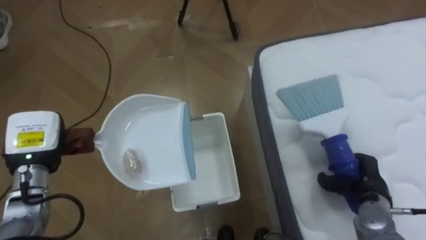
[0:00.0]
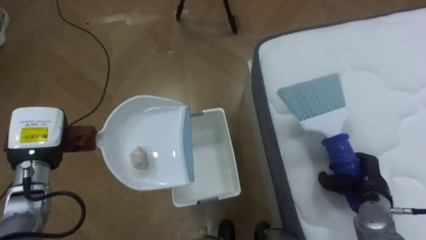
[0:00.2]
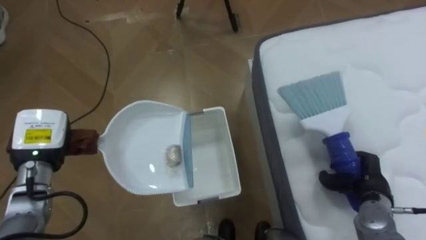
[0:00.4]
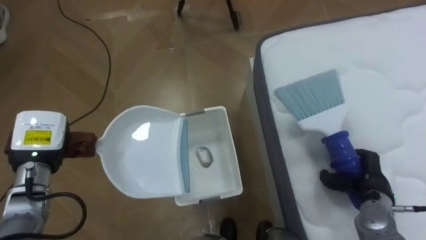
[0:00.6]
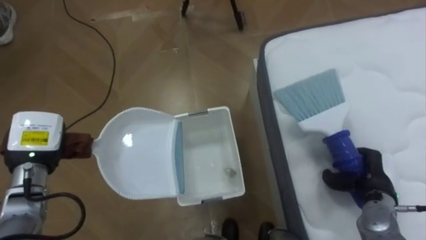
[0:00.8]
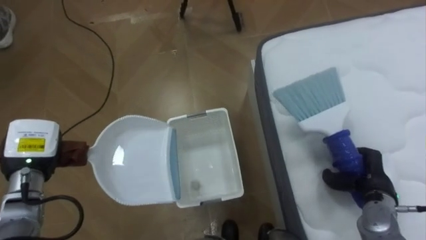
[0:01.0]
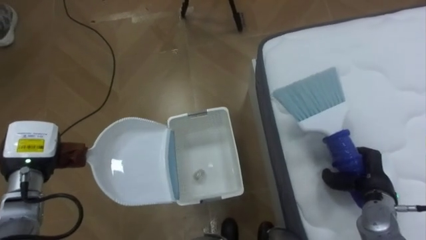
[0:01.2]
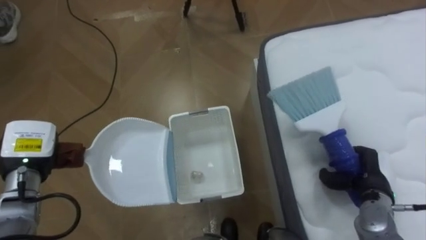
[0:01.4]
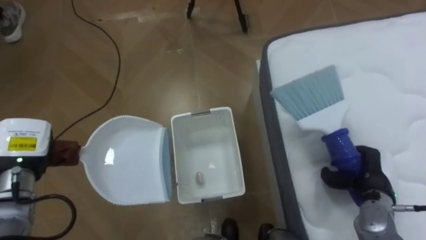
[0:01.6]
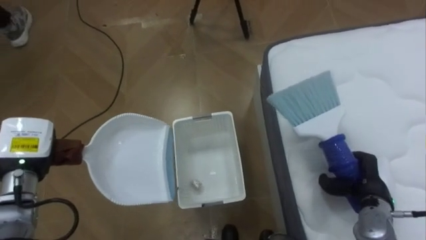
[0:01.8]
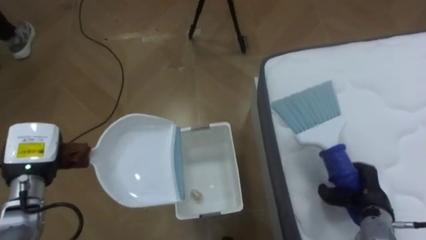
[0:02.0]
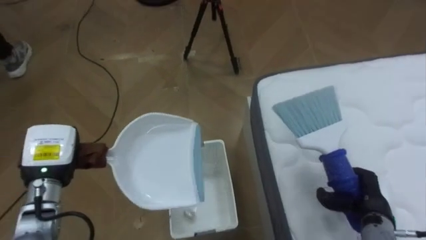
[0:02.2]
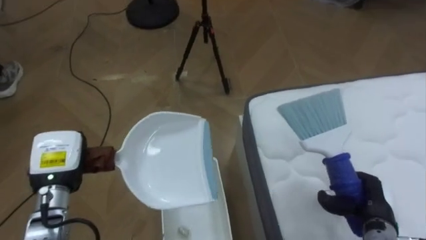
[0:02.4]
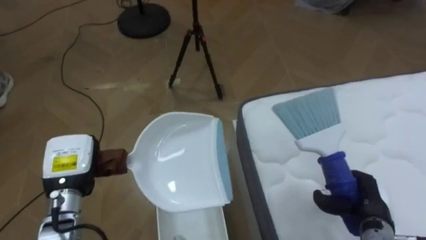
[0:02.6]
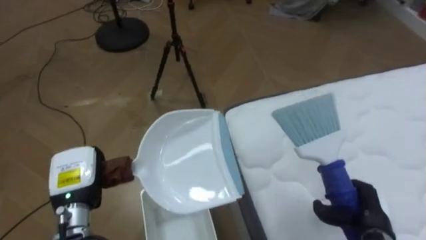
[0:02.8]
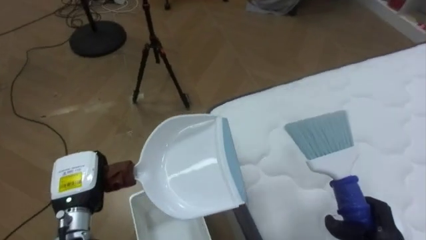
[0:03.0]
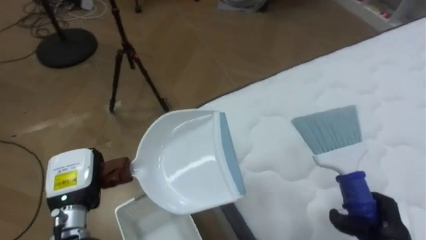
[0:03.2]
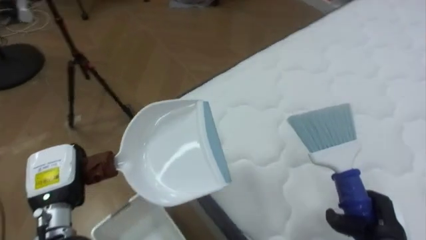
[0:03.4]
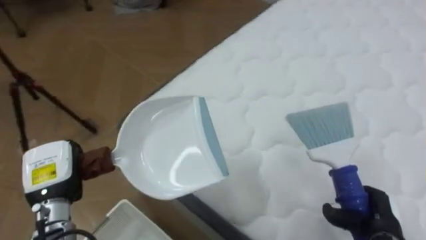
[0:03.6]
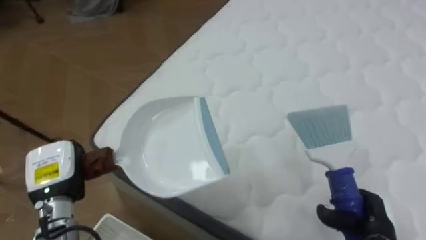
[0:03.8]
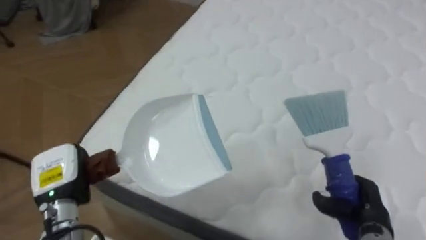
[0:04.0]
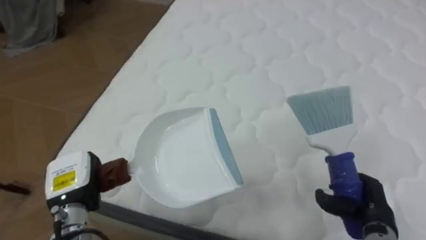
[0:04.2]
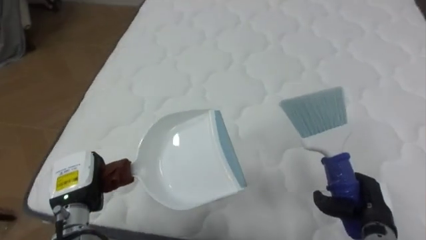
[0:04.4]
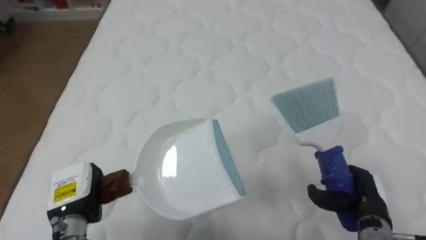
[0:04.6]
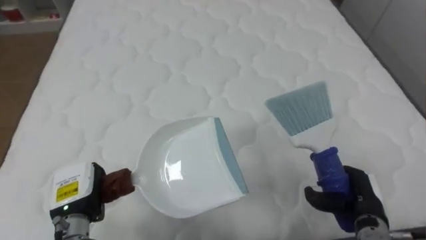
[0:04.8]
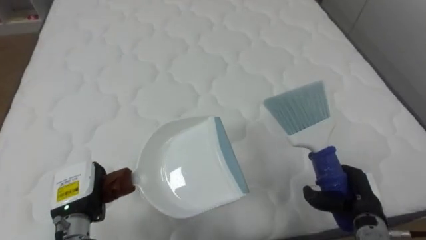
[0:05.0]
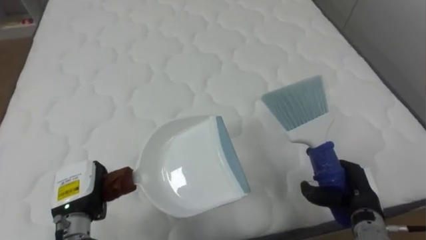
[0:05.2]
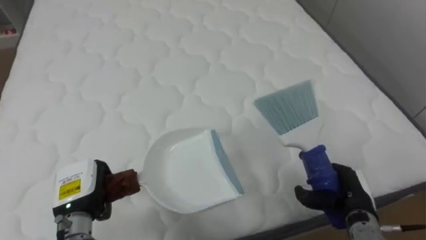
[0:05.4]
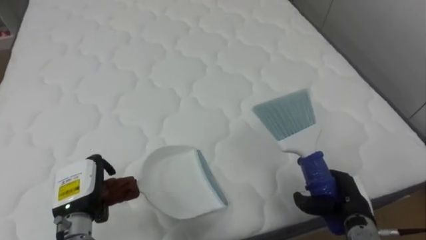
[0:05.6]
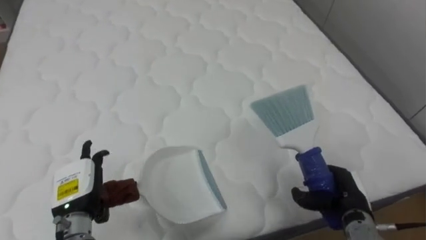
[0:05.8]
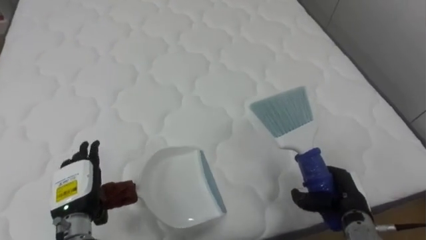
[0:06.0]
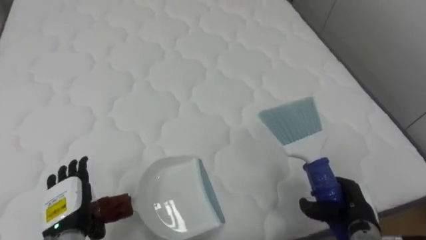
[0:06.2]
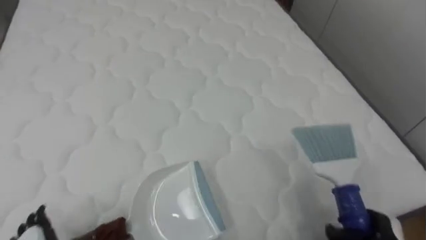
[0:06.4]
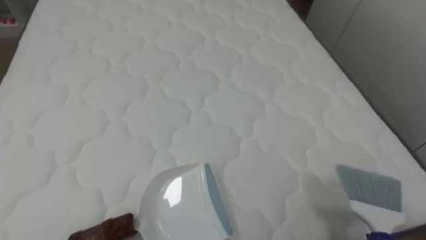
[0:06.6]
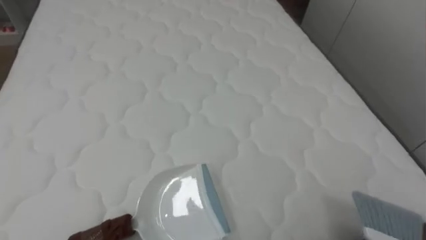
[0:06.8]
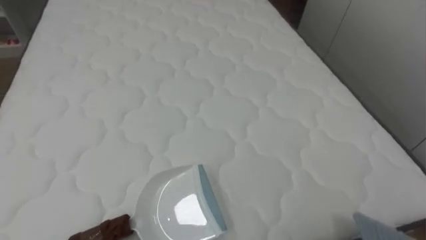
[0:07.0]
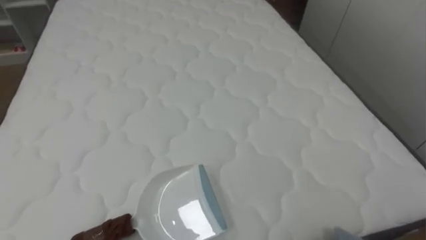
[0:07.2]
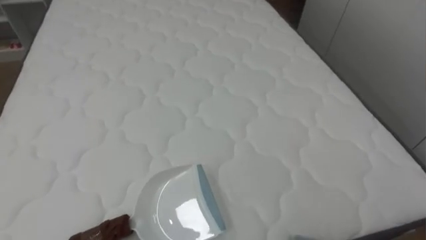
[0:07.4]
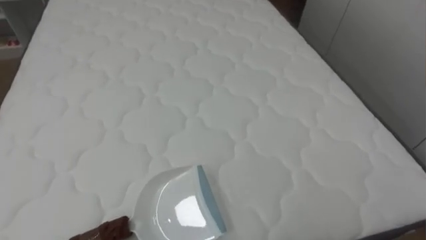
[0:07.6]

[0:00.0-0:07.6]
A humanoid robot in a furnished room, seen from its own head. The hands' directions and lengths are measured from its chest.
Task of the whole recording: Pick up the brush on your right and the dustpan on your left. Use the brush to sweep the crumpled paper on the bed into the dustpan, then turn left and empty it into the basket.
0:01.6 to 0:03.0: The robot's body swings roughly 15 degrees to its right. The right hand heads backward, covering approximately 10 cm, while the left hand is displaced to the right and backward by approximately 10 cm.
0:03.0 to 0:04.6: The robot turns to its right by approximately 70 degrees. The right hand moves approximately 5 cm.
0:04.6 to 0:06.0: The robot faces some 15 degrees further to its right. The left hand opens.

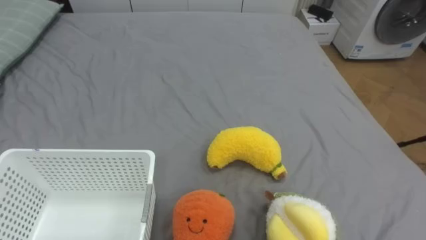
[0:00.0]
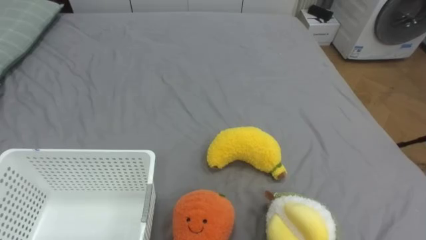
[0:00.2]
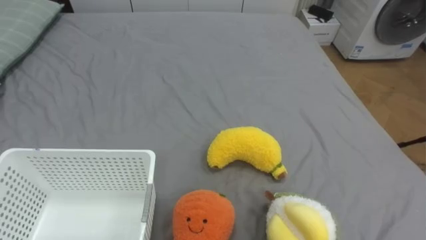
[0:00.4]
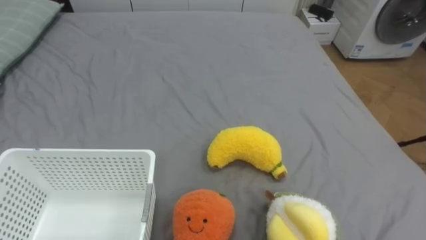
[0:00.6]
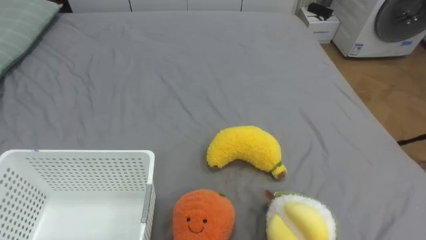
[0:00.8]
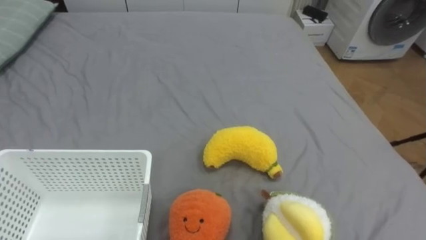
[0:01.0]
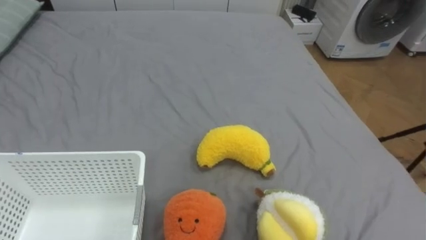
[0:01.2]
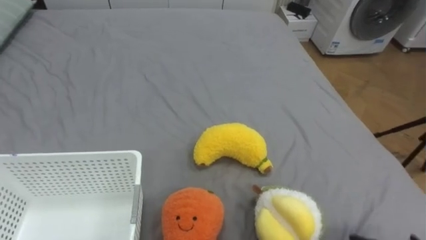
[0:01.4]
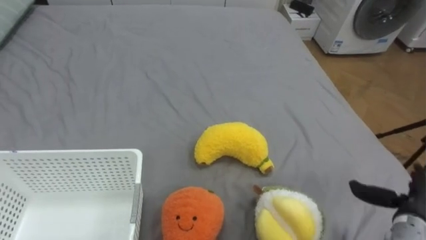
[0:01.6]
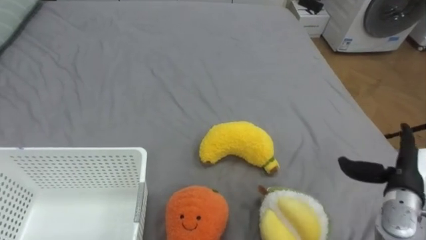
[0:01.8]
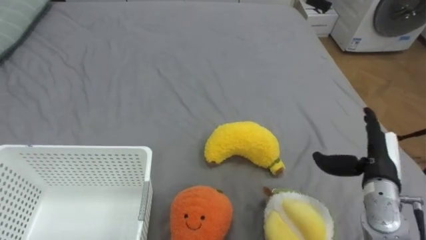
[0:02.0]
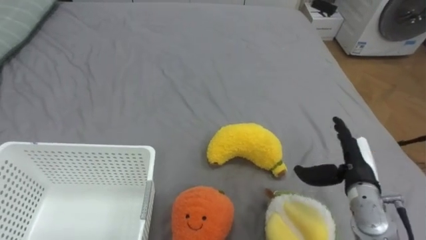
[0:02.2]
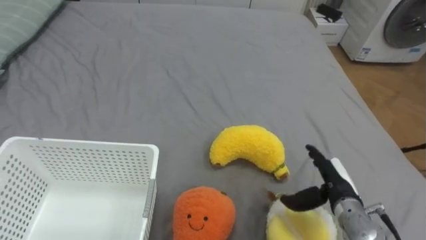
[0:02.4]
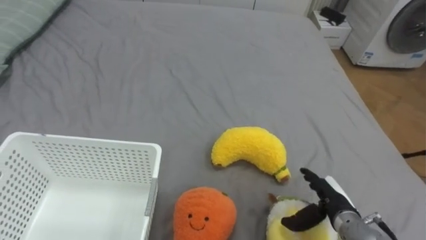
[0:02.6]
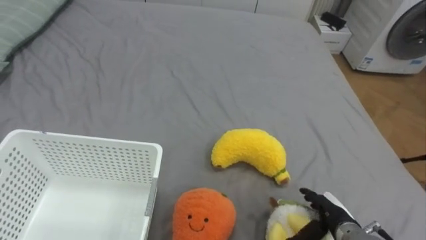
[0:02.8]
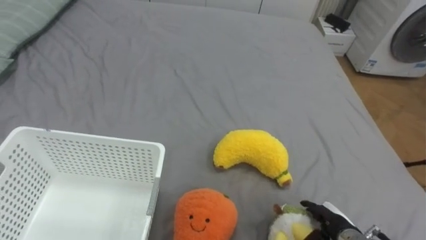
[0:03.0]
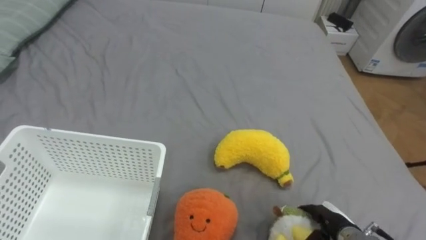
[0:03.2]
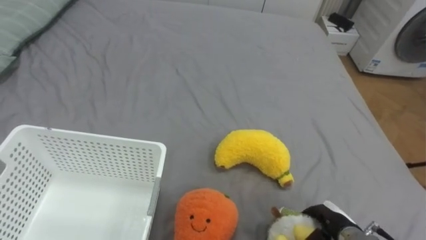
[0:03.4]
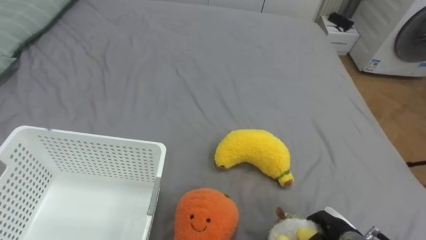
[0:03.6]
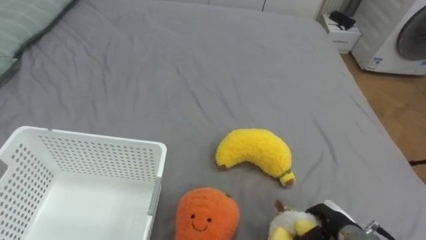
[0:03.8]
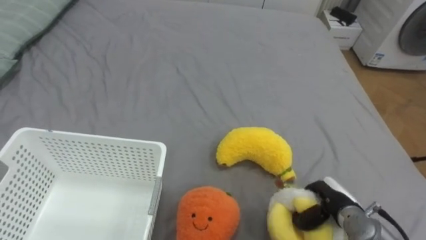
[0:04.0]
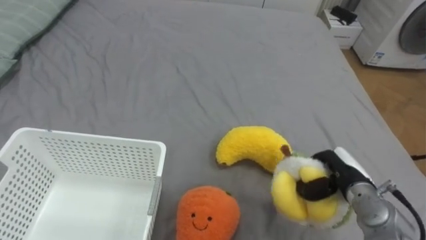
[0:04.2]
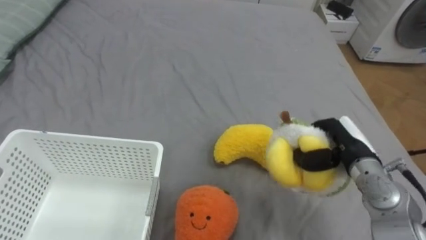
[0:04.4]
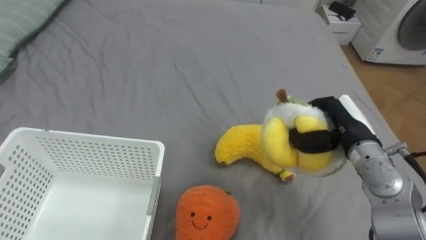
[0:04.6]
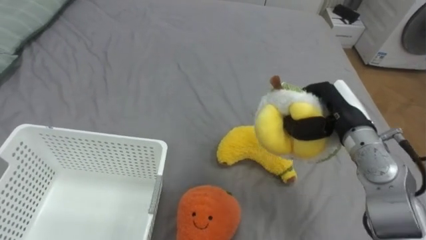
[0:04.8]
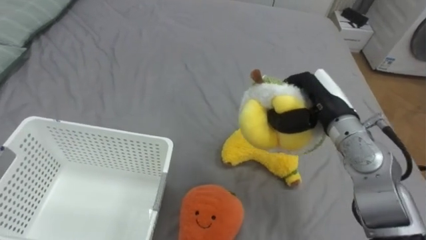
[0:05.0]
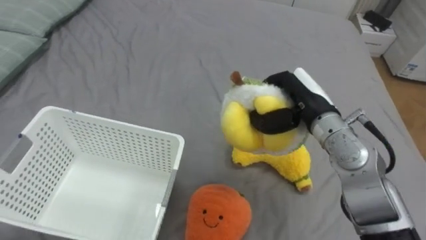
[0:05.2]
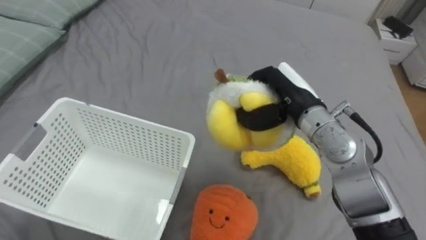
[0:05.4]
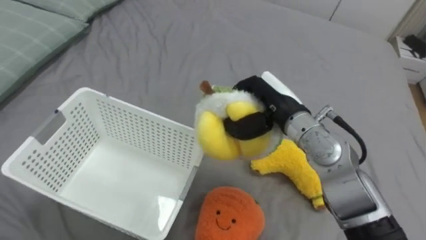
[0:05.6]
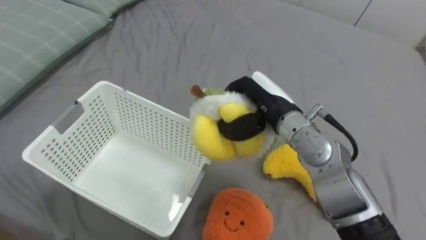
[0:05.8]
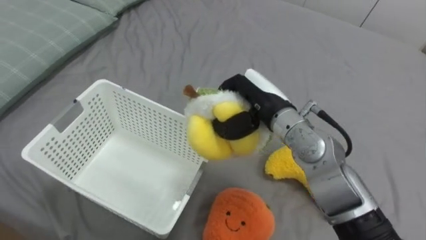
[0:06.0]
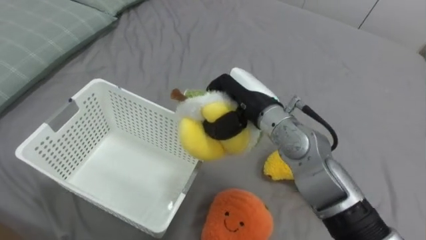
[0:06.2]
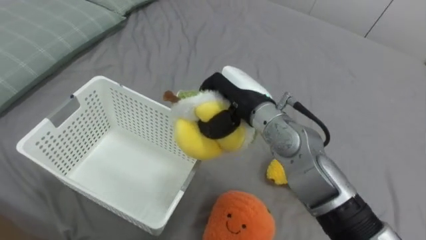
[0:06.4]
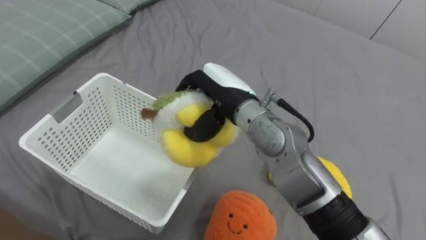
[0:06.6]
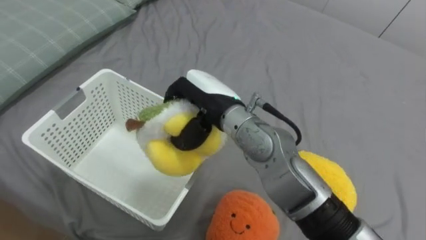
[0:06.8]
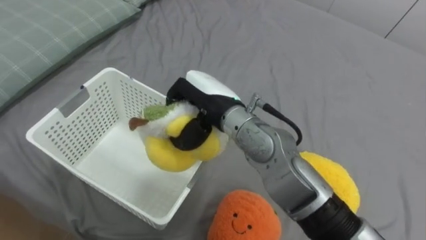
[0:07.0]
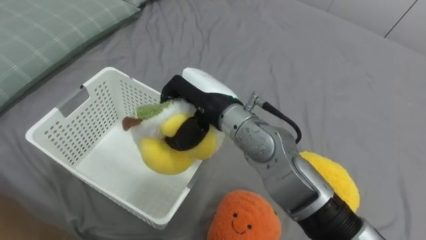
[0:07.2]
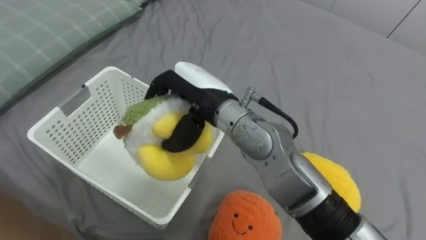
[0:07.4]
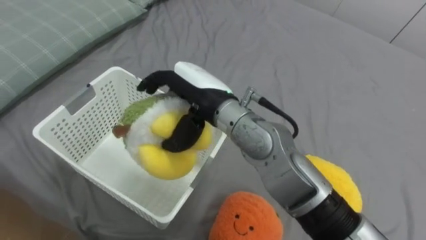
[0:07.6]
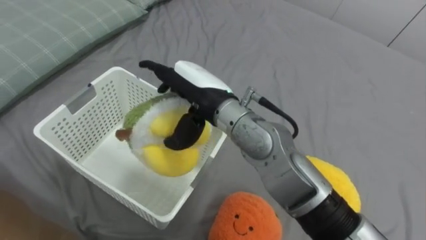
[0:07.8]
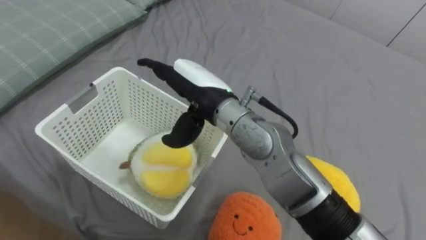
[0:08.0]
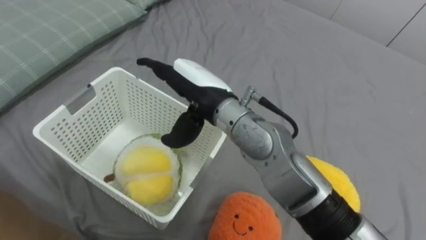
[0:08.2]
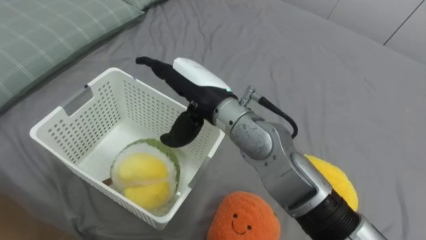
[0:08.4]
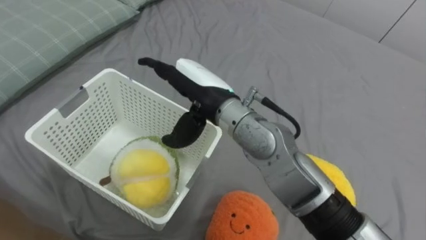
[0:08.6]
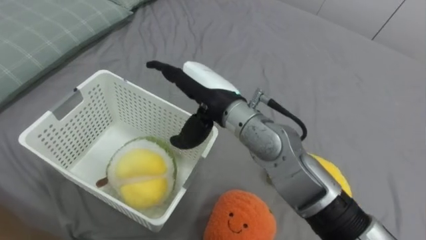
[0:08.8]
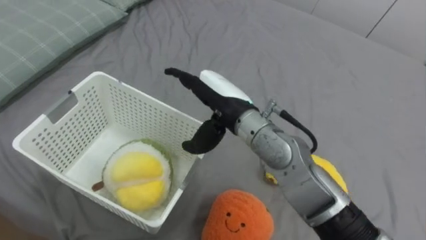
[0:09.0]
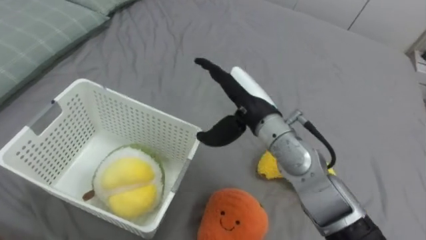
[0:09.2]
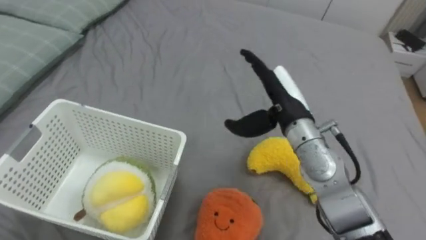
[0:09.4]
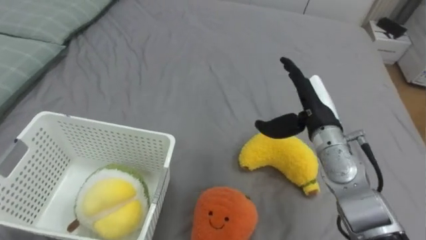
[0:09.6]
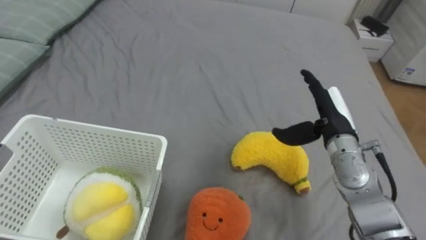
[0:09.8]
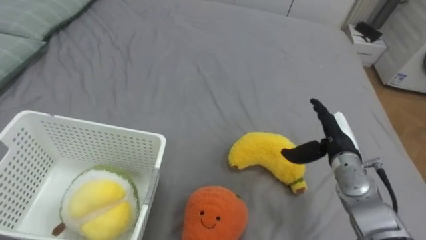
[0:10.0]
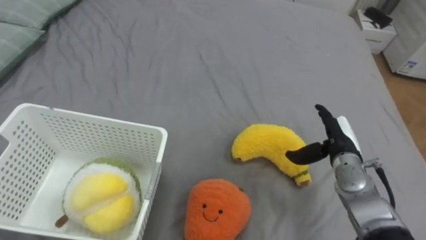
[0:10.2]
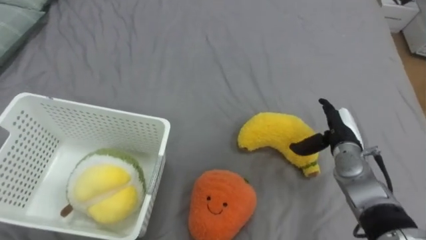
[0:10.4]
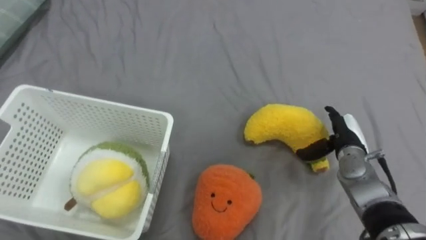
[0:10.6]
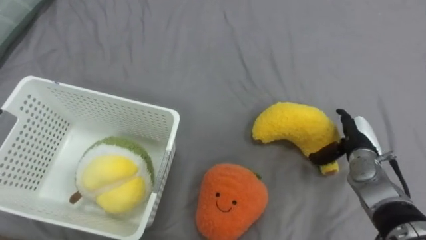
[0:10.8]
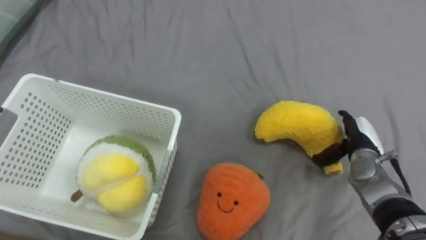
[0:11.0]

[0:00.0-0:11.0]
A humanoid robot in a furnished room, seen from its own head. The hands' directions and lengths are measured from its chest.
Task of the whole recording: Put the toys on the bed into the basket on the left.
0:01.6 to 0:03.2: The right hand shifts roughly 15 cm to the left and downward.
0:03.2 to 0:04.8: The right hand goes about 25 cm upward and forward, and closes up.
0:04.8 to 0:06.2: The right hand goes roughly 15 cm to the left.
0:06.2 to 0:07.8: The right hand travels to the left by some 10 cm, and opens its fingers.
0:07.8 to 0:09.4: The right hand travels to the right by roughly 15 cm.
0:09.4 to 0:11.0: The right hand heads to the right and downward, covering approximately 25 cm.
